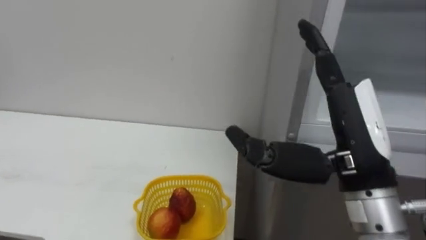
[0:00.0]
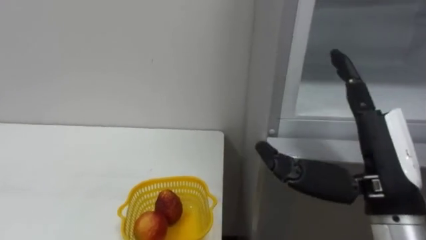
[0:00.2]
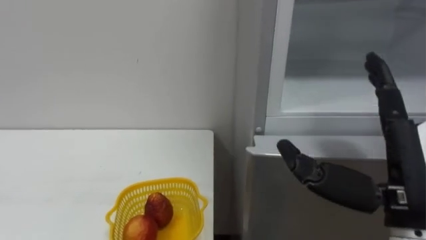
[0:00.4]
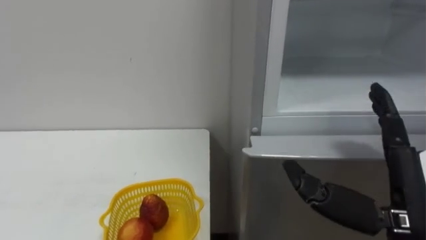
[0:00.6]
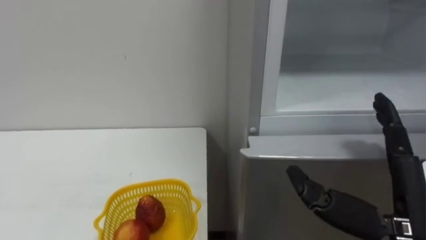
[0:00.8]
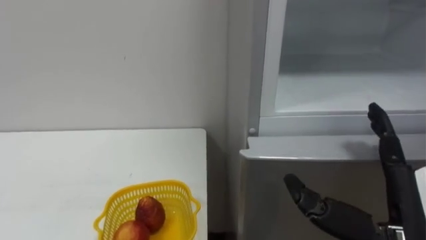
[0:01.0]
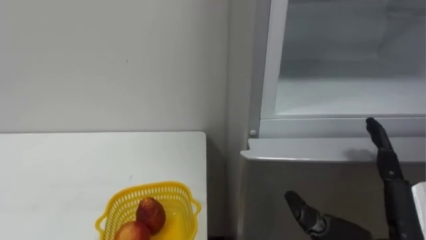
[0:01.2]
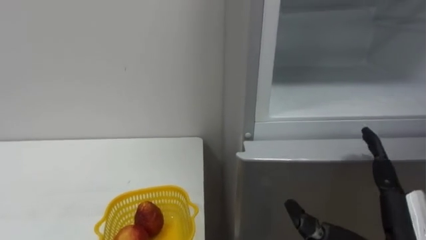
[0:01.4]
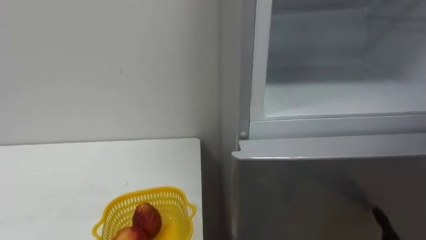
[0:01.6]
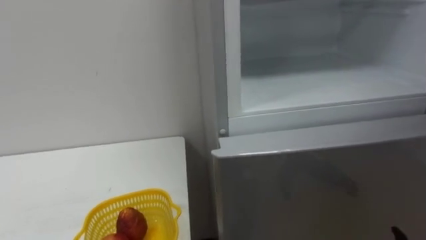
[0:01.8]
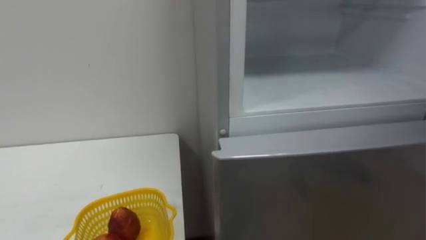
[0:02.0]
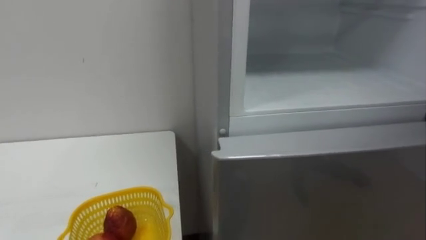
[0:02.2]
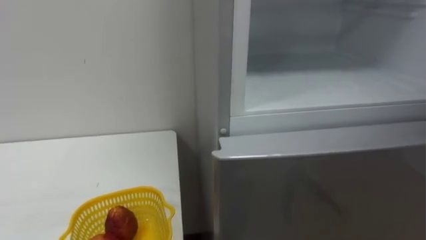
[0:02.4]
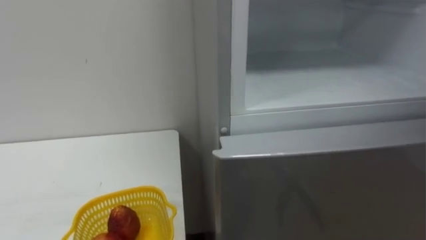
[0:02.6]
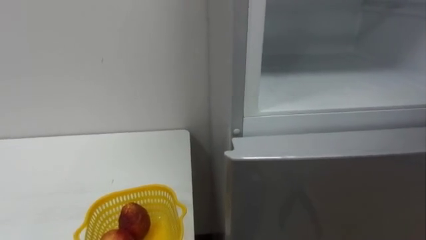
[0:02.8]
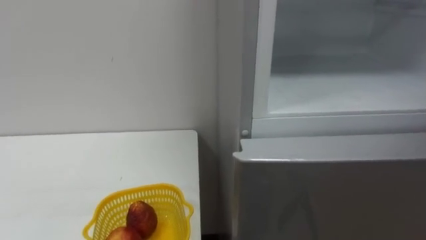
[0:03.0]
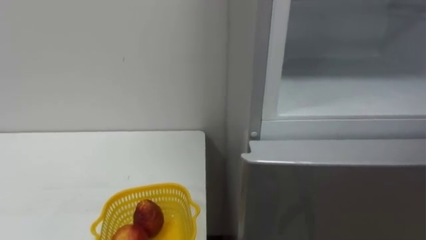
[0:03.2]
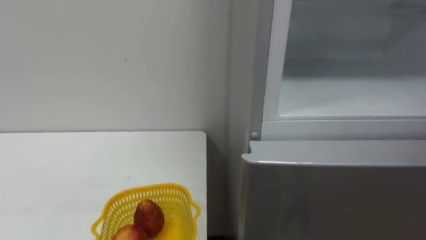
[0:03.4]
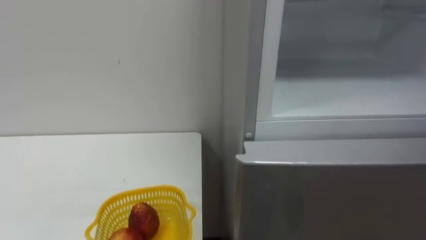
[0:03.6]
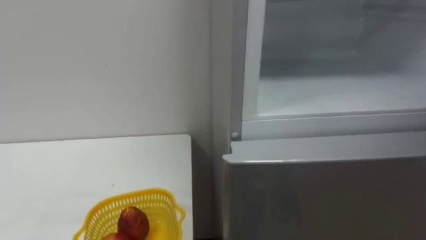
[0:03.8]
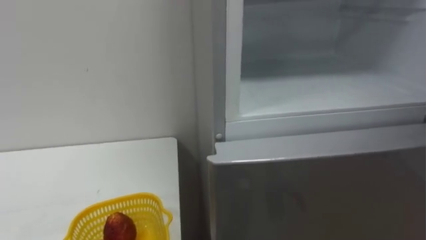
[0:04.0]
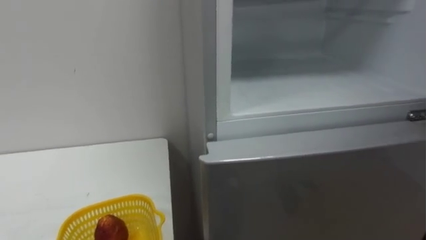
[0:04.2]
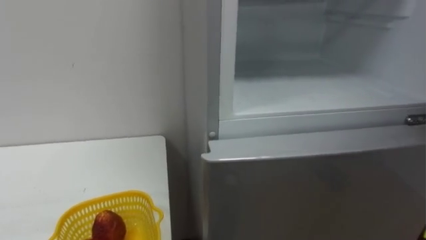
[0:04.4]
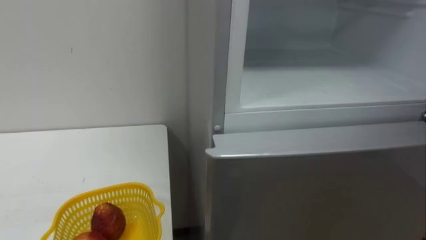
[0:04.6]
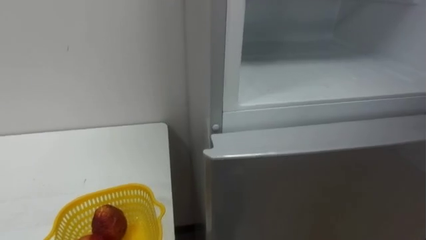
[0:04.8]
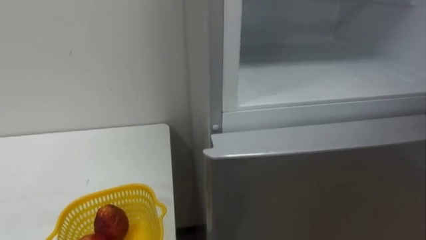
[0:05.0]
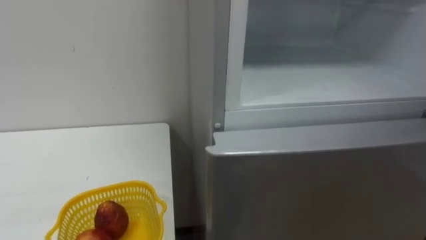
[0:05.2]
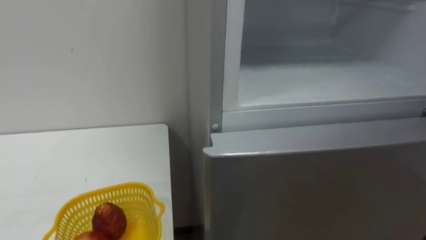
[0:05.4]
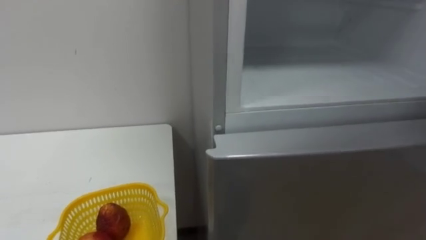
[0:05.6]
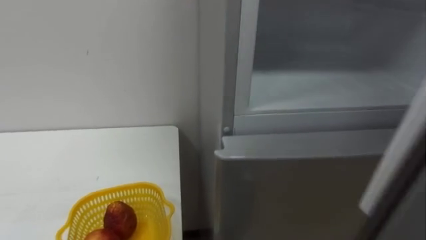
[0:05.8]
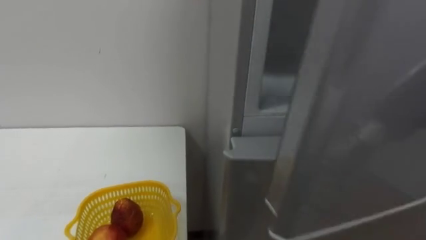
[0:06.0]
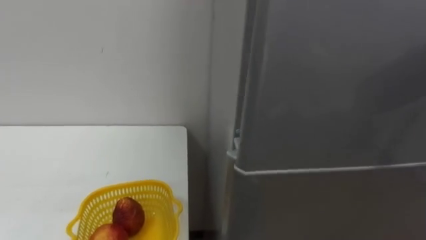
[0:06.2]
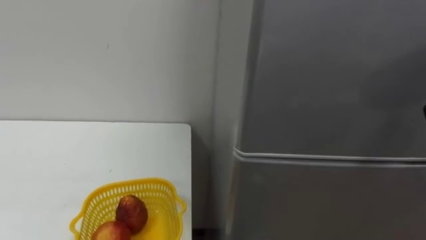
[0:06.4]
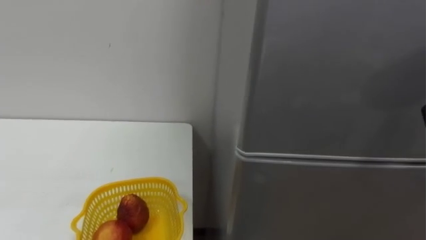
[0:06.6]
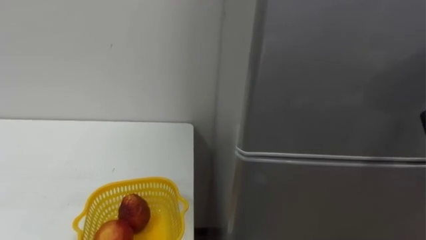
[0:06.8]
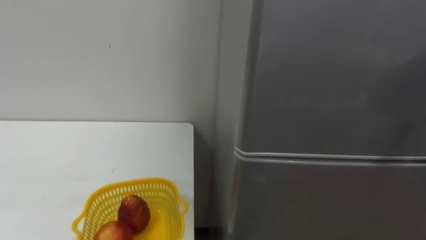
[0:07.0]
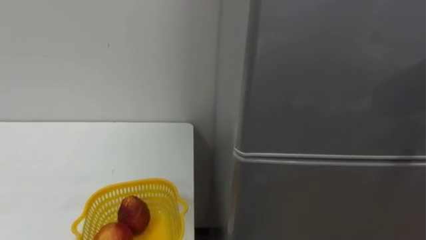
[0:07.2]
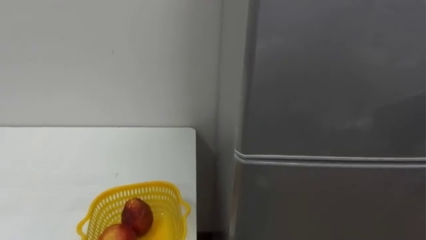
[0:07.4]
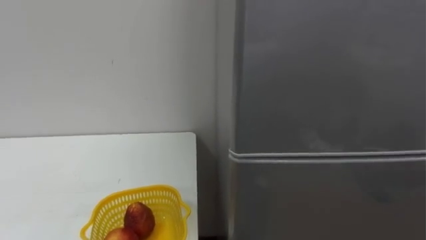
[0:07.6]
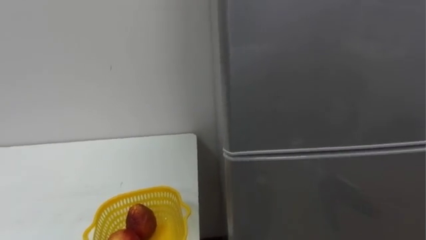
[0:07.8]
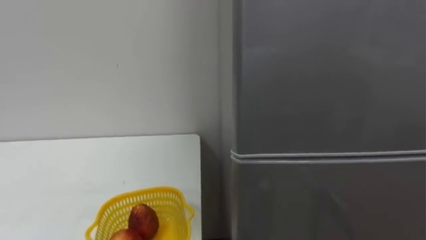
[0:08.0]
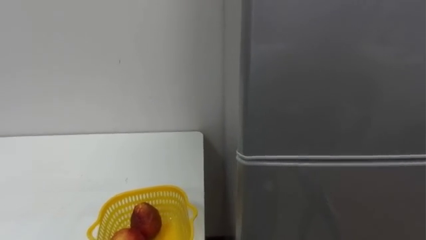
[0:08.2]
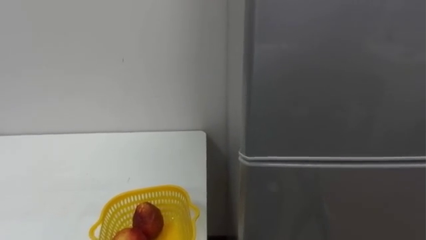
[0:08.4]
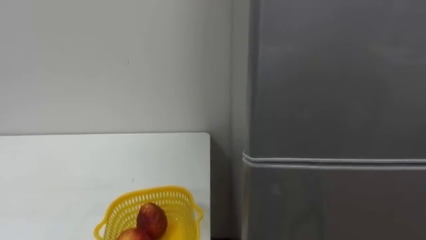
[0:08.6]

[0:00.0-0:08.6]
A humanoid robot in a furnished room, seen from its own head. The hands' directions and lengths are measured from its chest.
Task of the whole recording: Open the refrigerator door, take out the apple and the pomegranate, place them in the fruit basket on the left, and close the refrigerator door.
0:00.0 to 0:01.4: The right hand moves downward and to the right, approximately 15 cm.

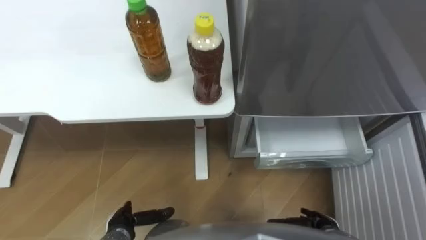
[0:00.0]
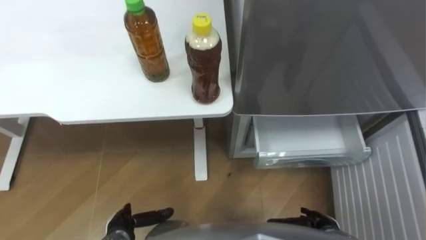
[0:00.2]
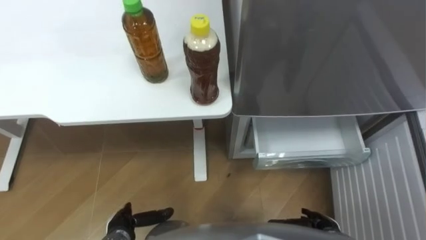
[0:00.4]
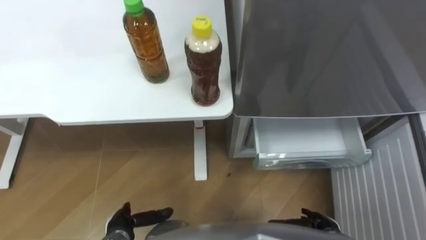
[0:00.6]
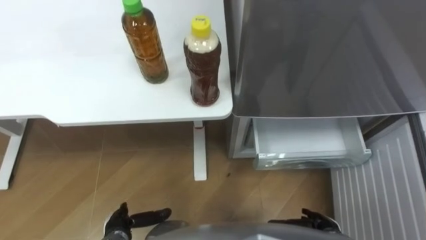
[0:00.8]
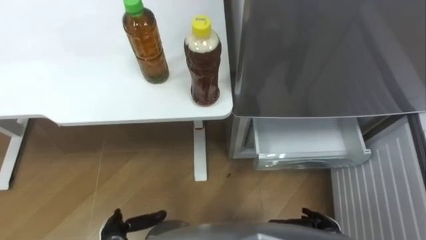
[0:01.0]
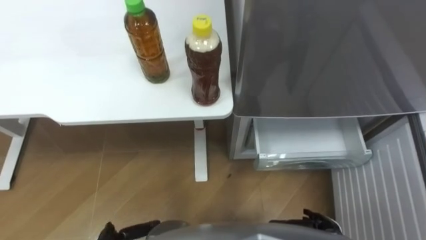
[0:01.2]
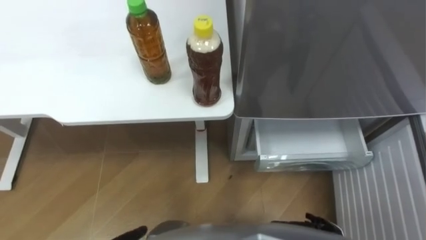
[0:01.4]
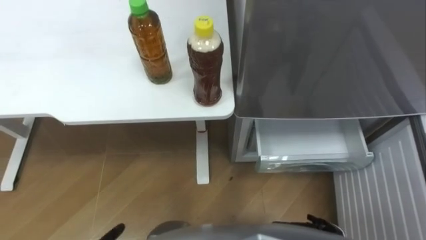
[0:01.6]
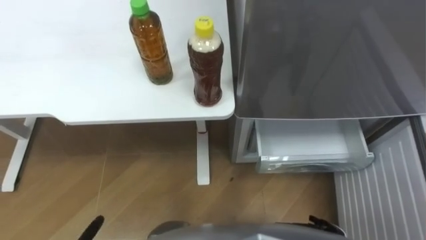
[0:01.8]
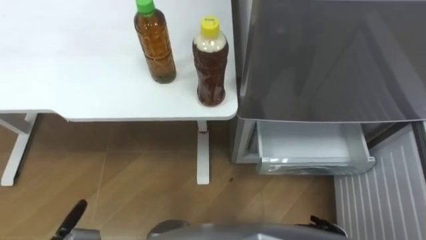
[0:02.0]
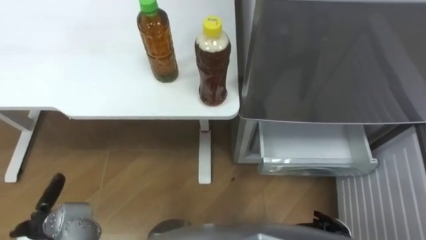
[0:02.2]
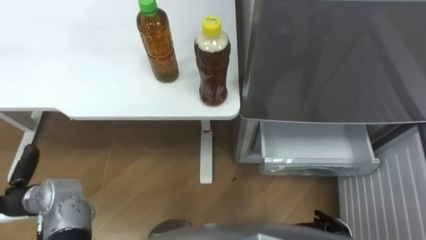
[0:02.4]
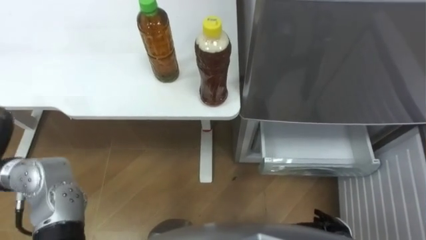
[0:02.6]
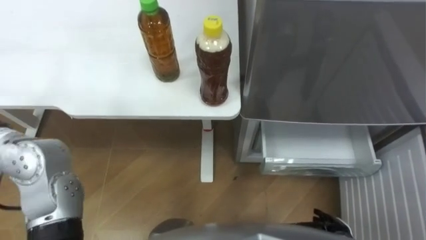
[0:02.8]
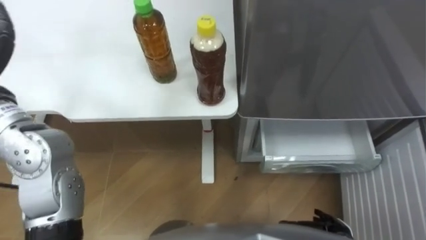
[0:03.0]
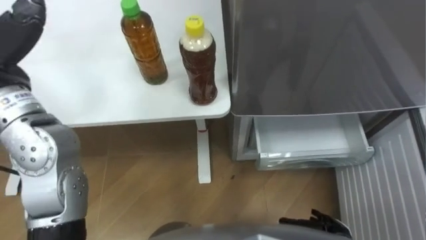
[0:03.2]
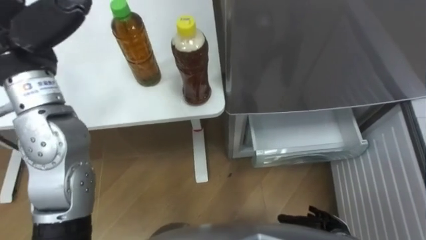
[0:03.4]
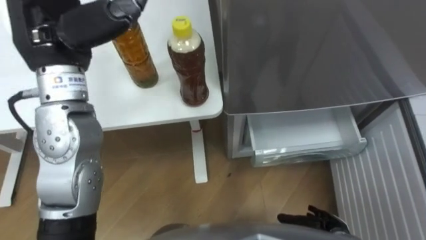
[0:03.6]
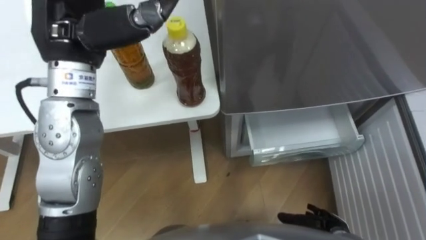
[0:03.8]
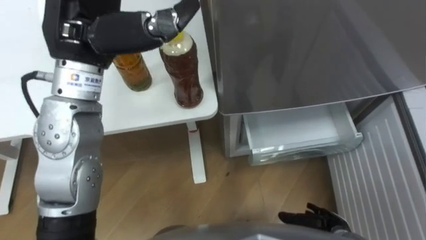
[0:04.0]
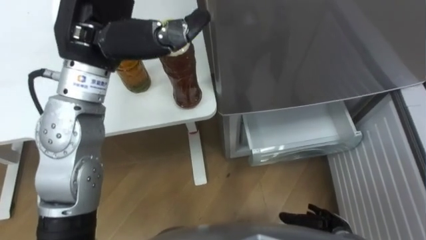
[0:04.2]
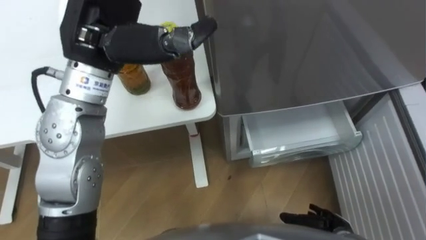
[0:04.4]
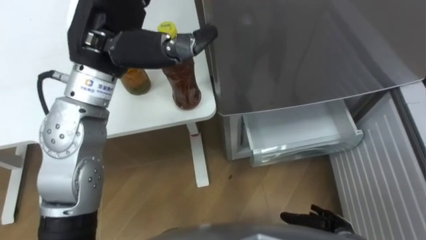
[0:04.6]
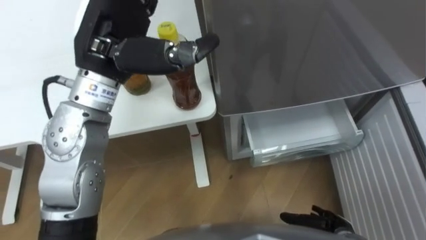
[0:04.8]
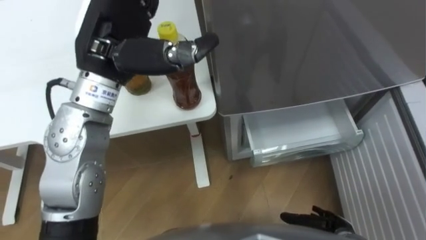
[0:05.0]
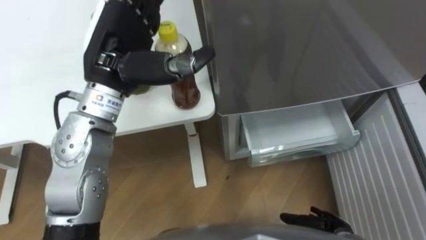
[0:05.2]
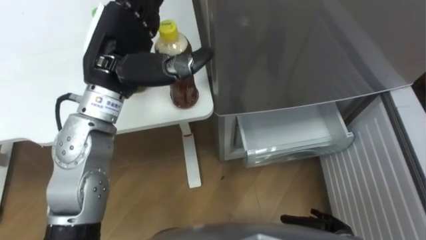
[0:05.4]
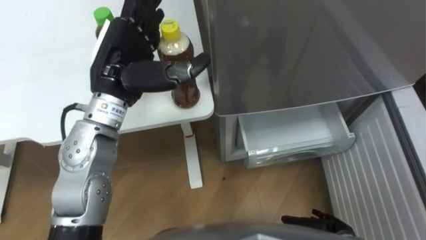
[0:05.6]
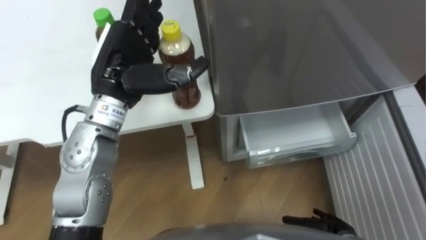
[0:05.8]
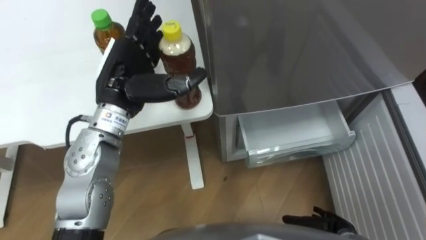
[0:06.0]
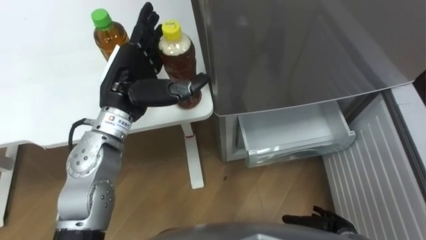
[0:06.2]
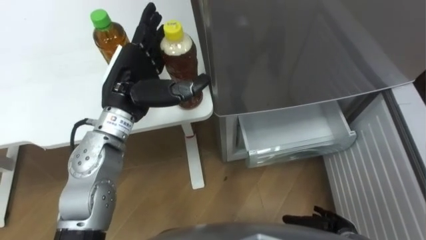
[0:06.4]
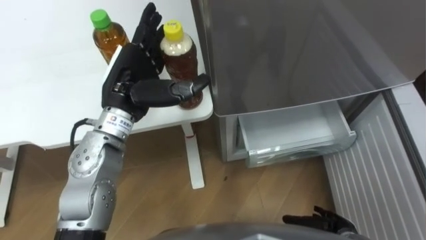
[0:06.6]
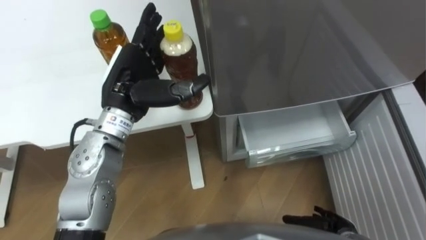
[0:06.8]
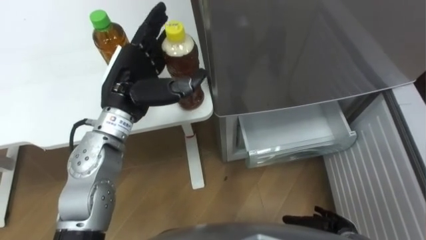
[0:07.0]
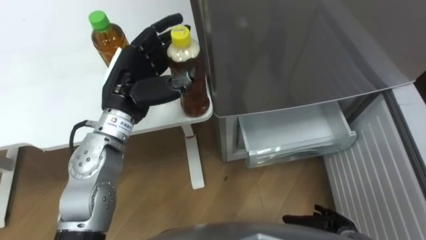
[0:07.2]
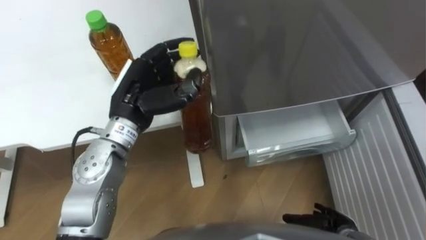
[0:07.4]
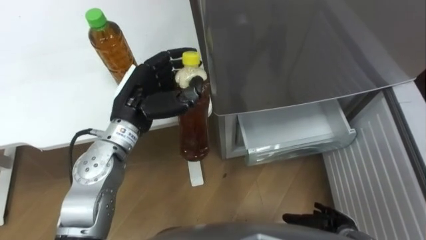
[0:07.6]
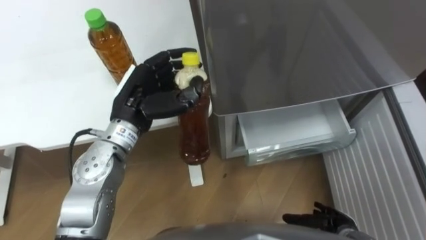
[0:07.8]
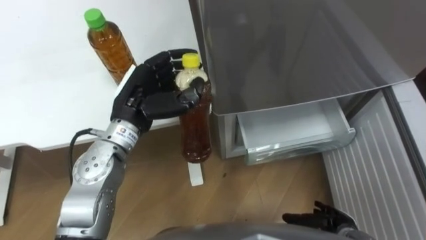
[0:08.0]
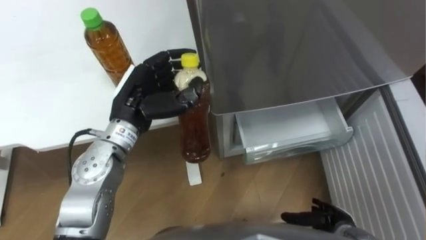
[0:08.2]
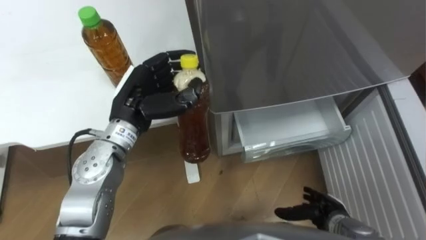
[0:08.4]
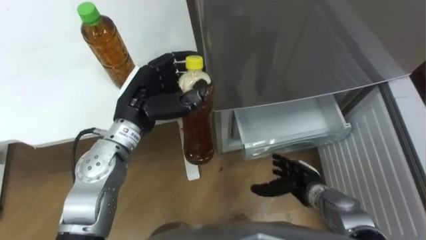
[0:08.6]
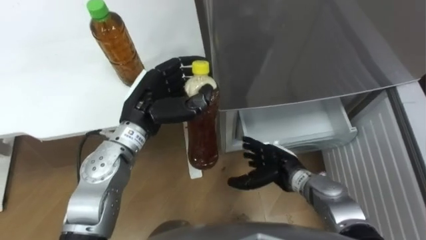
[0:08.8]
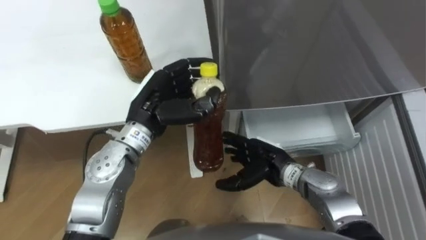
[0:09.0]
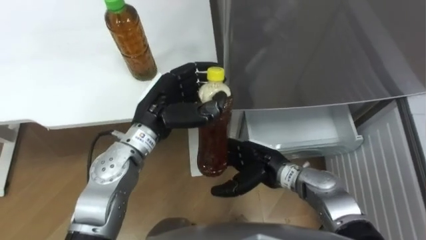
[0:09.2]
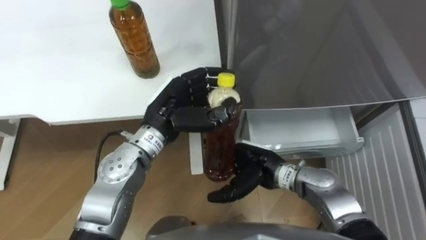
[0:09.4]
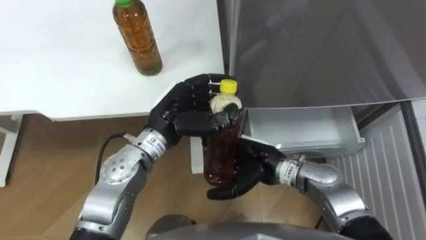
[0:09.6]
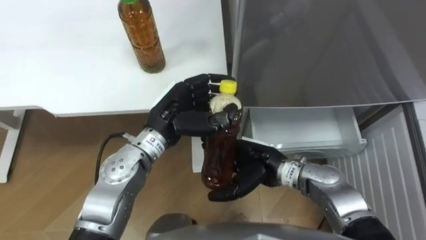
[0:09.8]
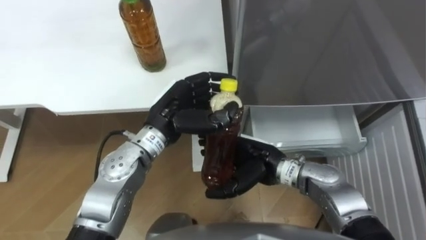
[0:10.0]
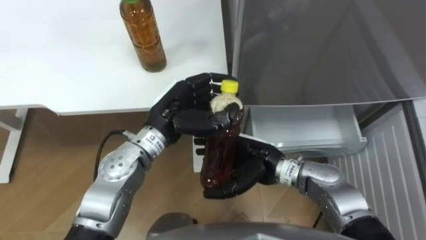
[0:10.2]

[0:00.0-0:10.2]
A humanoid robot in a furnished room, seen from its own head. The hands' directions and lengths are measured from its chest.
Task of the whole recording: Place the drink on the table on the bottom shelf of the refrigerator, then close the drawer and the refrigerator door.
0:04.4 to 0:05.8: The left hand moves downward, roughly 10 cm.
0:05.8 to 0:07.2: The left hand closes its fingers.
0:07.2 to 0:08.8: The right hand heads forward, to the left and upward, covering some 20 cm.
0:08.8 to 0:10.2: The right hand heads upward and to the left, covering approximately 10 cm.
